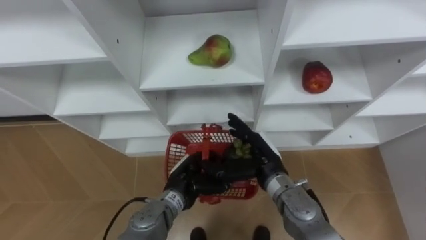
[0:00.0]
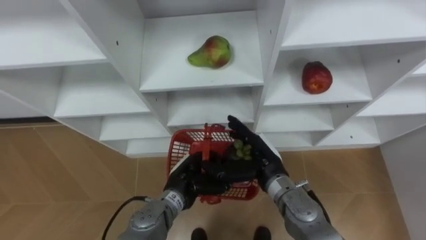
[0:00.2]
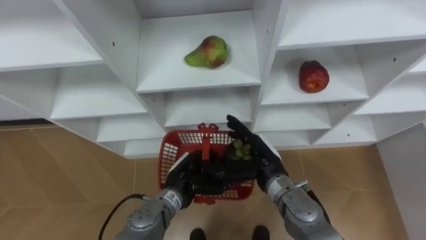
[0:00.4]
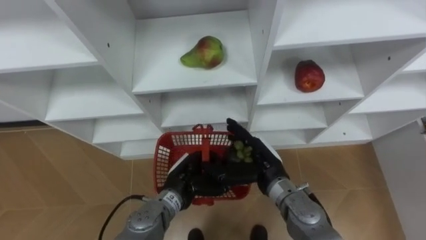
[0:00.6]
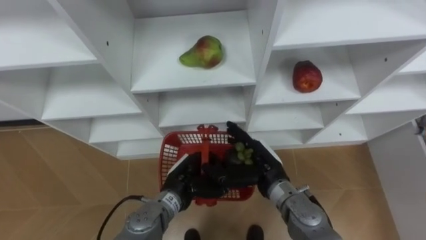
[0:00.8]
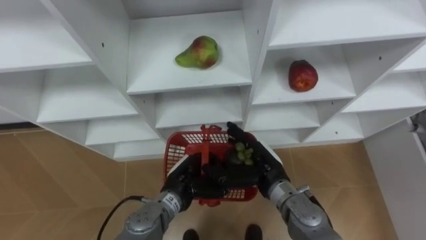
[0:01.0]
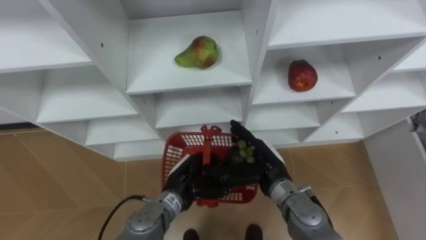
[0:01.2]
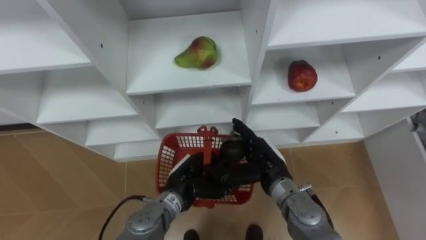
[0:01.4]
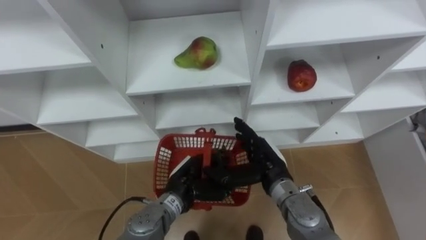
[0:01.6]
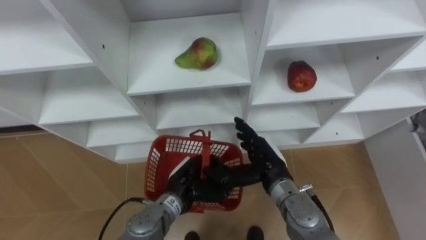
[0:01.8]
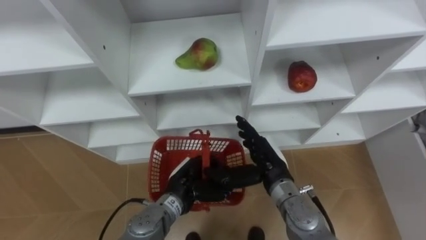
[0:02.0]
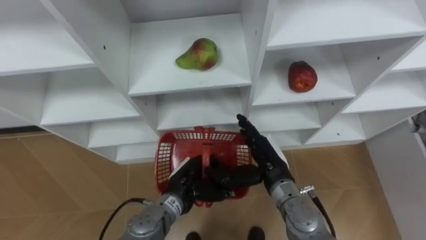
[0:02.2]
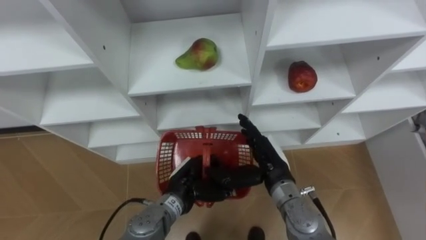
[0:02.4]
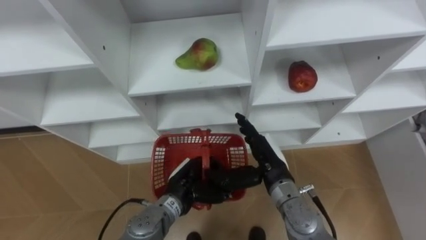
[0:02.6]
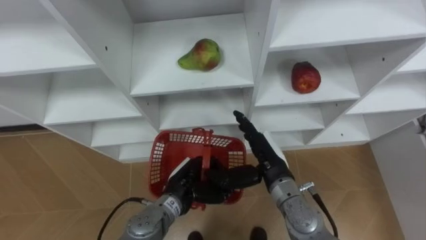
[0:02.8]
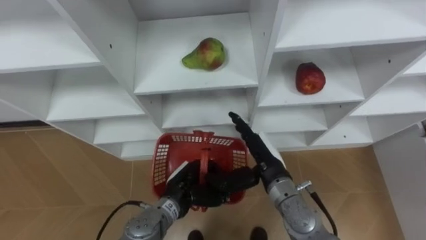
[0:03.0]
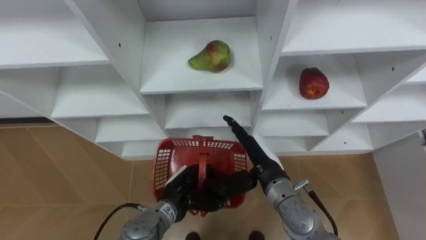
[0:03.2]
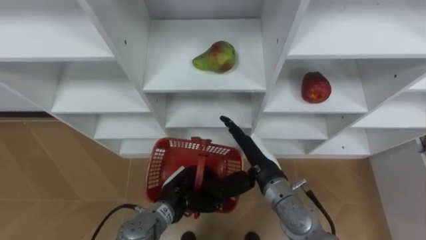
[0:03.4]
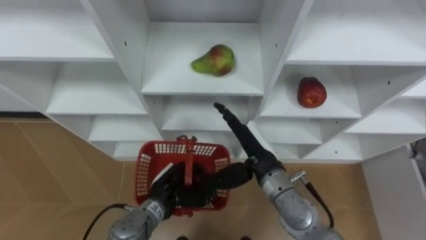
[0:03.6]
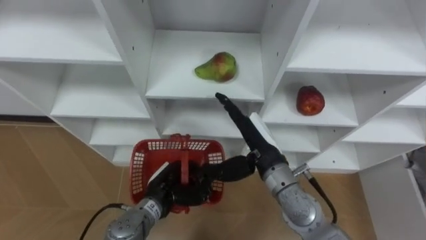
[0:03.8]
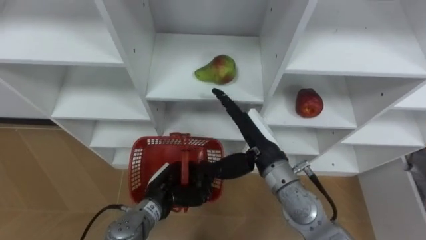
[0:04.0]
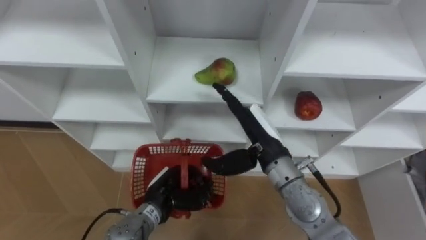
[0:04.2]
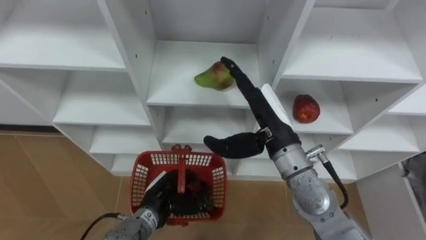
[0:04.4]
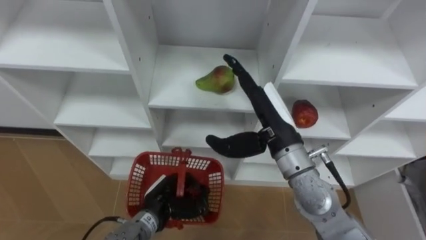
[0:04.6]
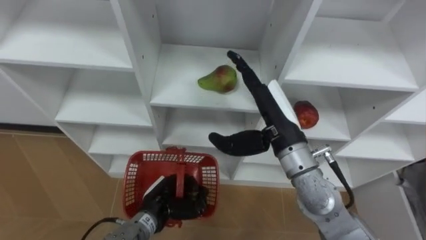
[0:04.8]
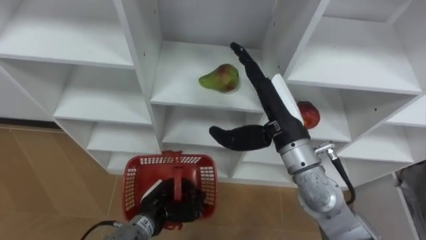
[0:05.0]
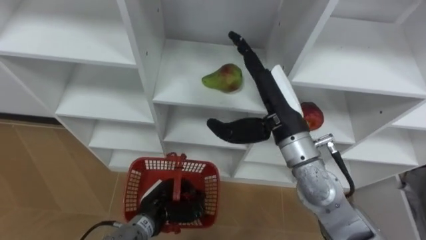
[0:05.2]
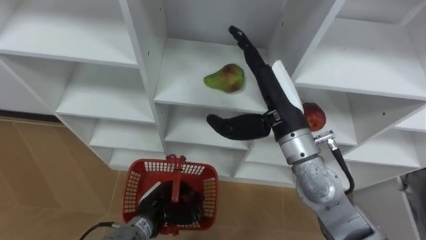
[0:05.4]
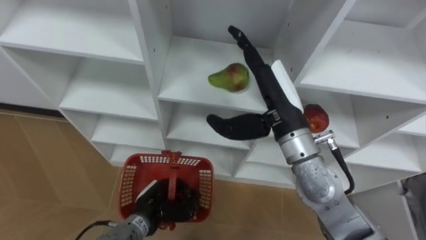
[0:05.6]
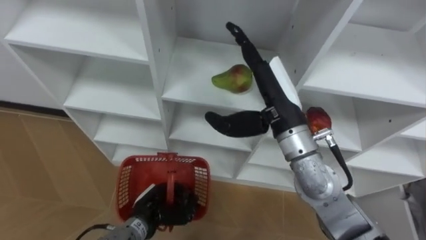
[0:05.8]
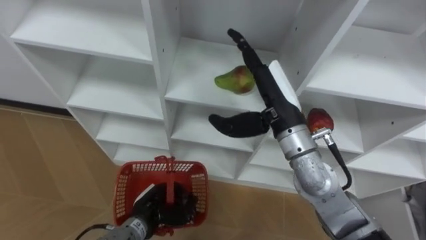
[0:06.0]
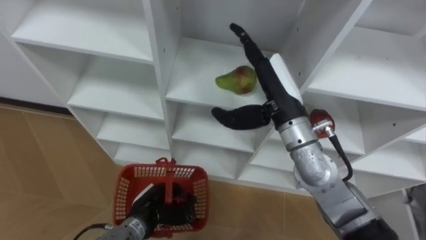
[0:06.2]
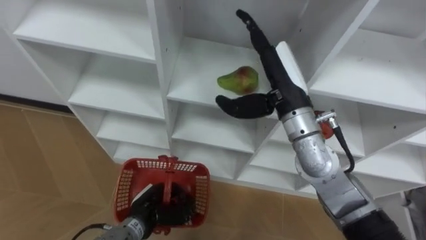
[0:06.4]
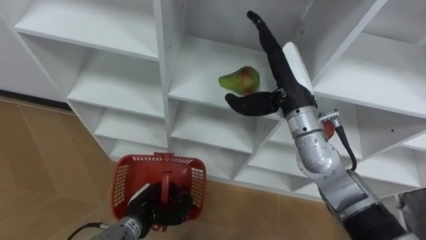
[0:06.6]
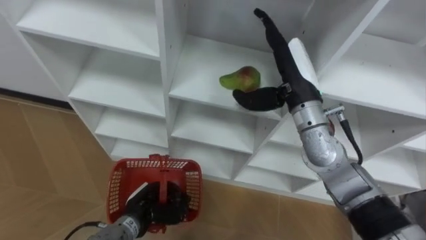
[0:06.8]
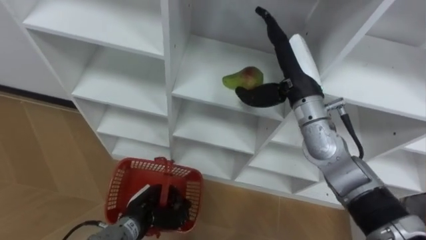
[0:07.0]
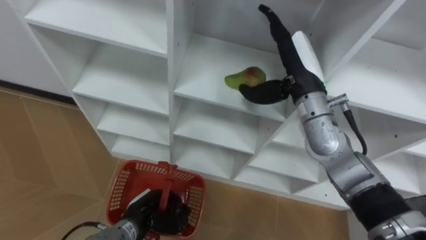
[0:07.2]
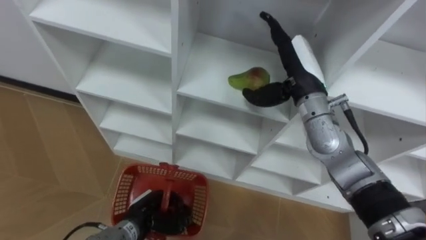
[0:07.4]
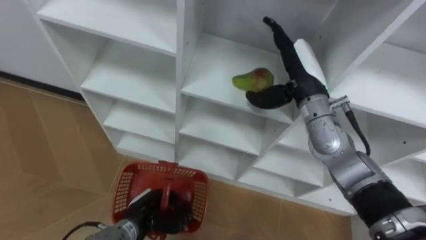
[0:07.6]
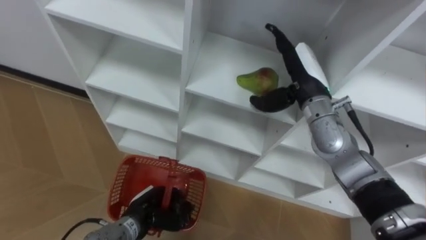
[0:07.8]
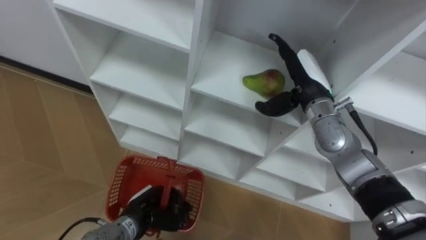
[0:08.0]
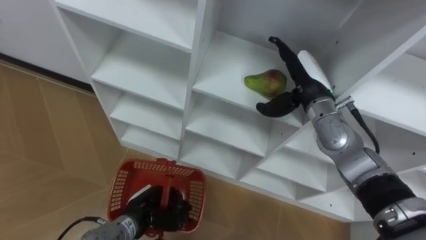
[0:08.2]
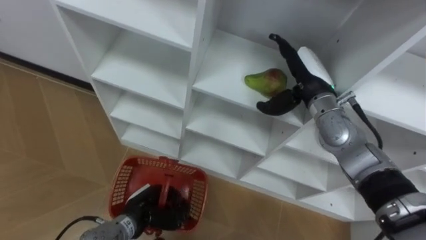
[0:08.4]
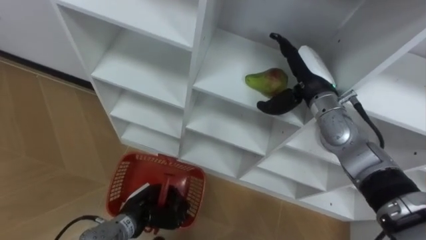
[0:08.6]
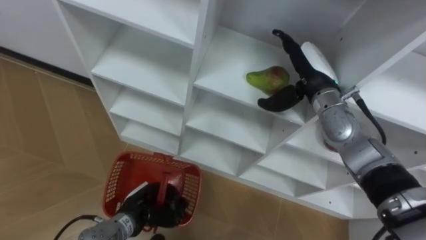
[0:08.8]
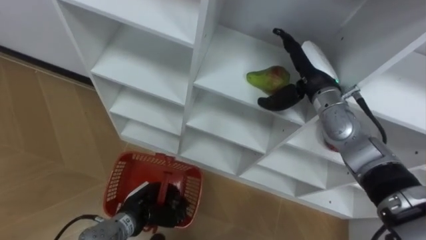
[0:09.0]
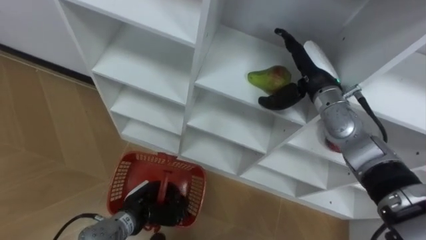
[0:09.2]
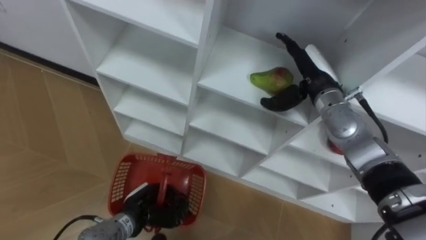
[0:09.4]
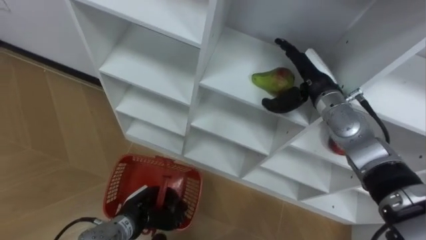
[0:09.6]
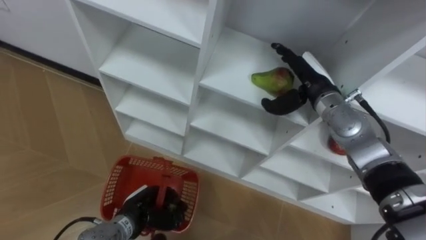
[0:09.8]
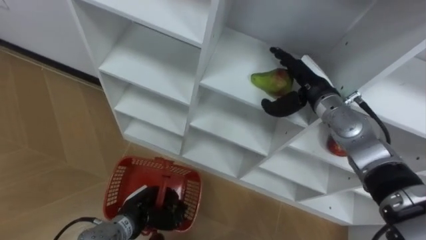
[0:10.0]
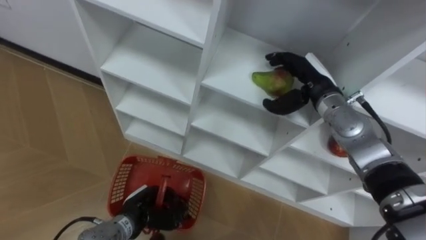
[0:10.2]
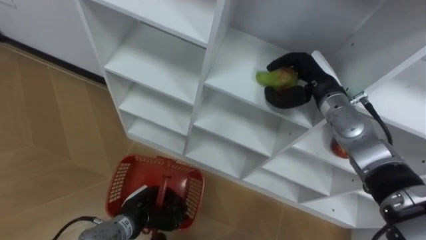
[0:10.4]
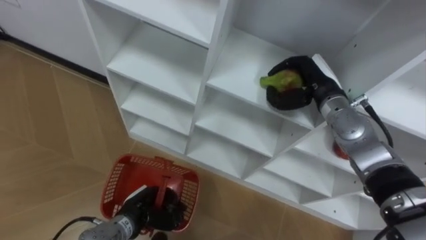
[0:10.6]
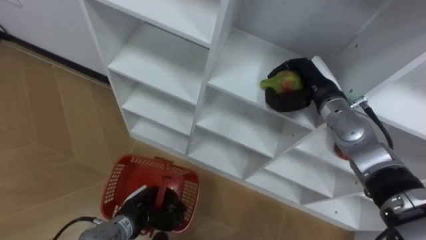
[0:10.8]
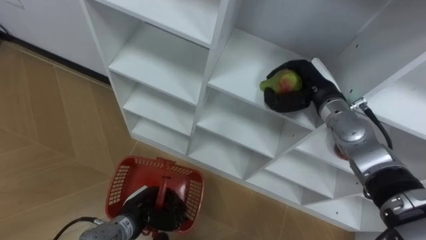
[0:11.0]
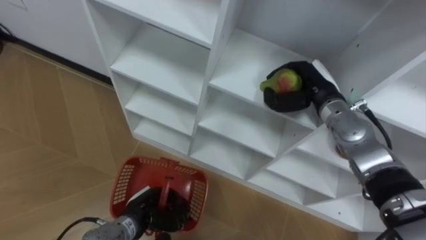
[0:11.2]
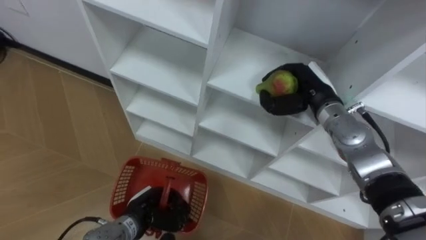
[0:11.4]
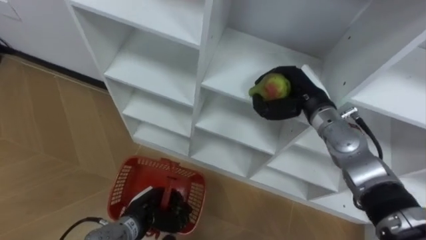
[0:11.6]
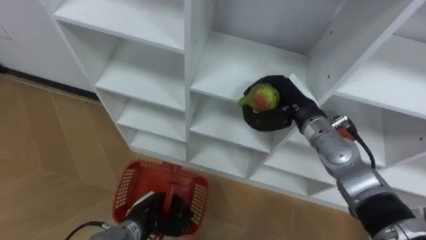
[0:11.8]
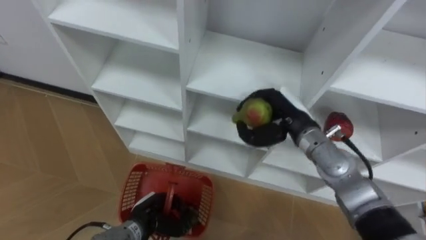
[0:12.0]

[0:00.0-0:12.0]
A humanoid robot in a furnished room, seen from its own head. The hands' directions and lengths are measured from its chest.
Task of the whole recording: Hold the basket and collect the fruits from 3 different cells of the closet into it.
3.0 to 4.4 s: The left hand ends up about 5 cm from where it was. Meanwhile the right hand is displaced upward by some 10 cm.
6.0 to 7.6 s: The right hand goes roughly 10 cm forward and to the right.
9.0 to 10.4 s: The right hand closes its fingers.
10.4 to 12.0 s: The right hand ends up roughly 5 cm from where it was, and closes.

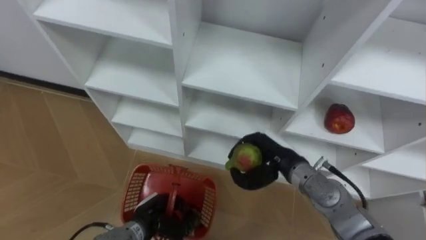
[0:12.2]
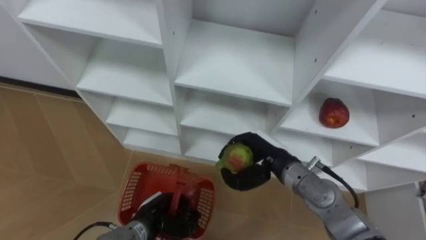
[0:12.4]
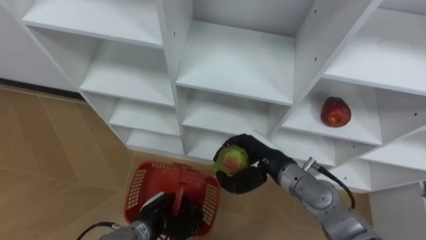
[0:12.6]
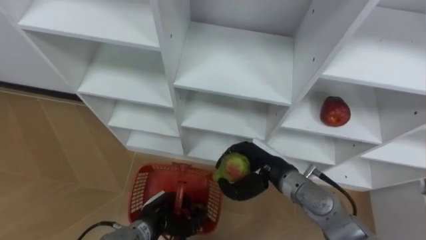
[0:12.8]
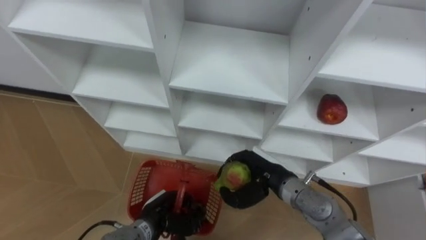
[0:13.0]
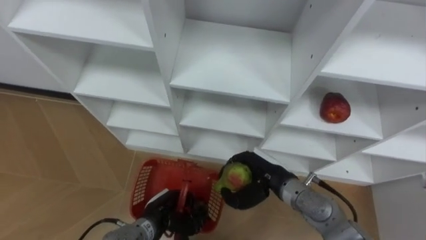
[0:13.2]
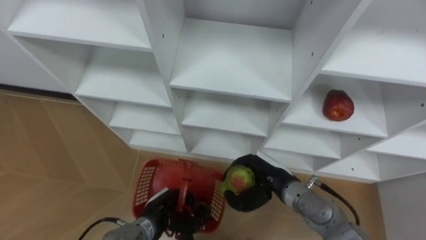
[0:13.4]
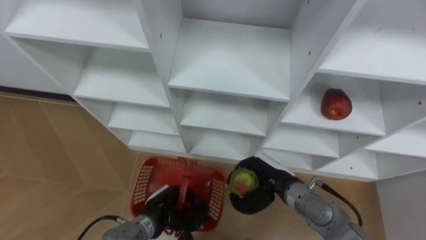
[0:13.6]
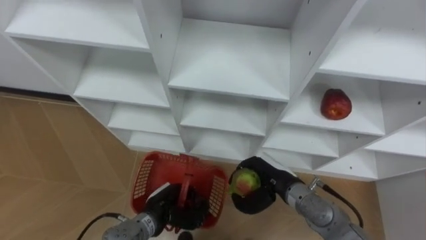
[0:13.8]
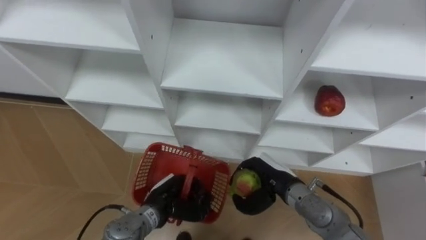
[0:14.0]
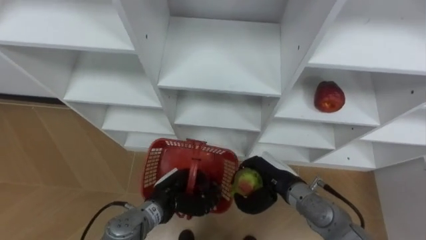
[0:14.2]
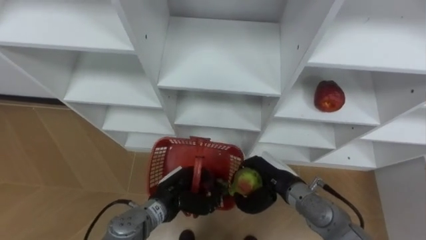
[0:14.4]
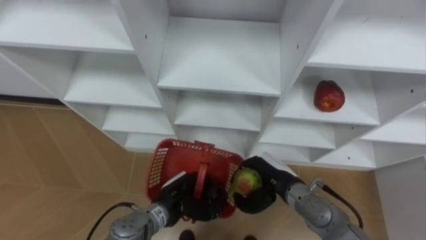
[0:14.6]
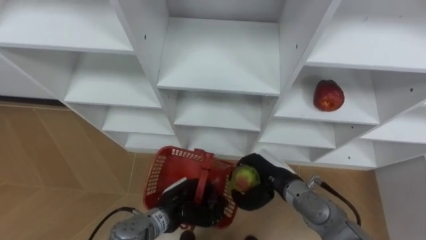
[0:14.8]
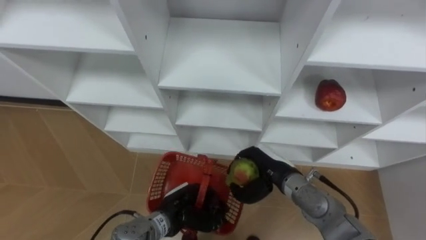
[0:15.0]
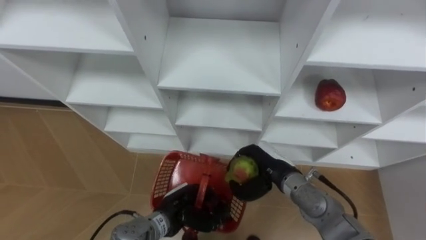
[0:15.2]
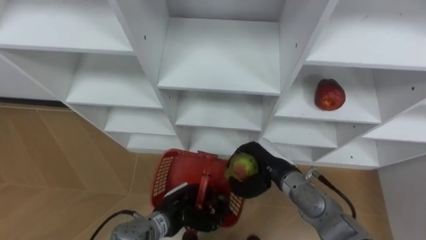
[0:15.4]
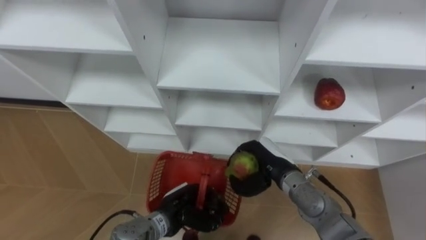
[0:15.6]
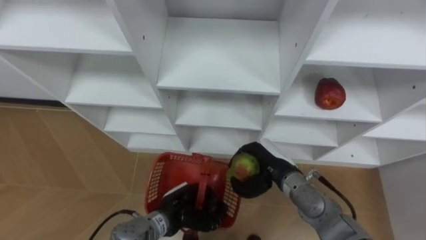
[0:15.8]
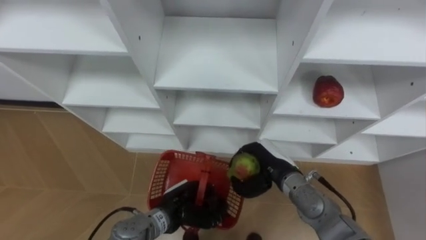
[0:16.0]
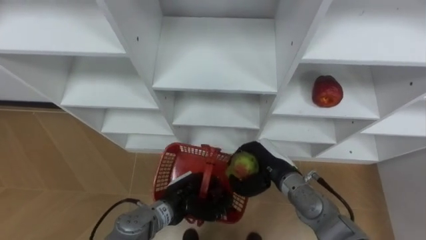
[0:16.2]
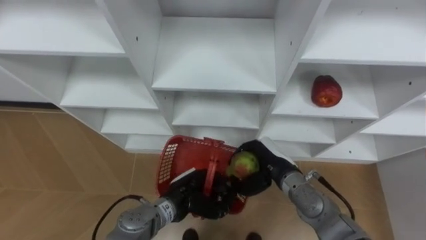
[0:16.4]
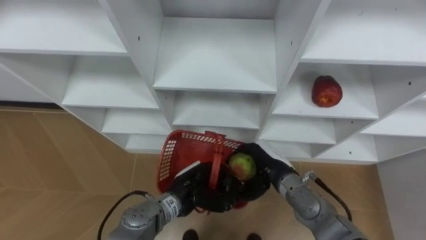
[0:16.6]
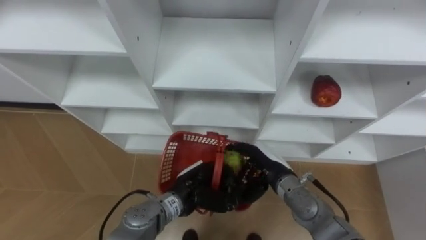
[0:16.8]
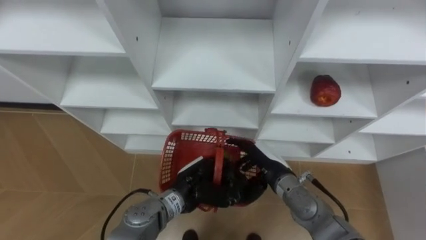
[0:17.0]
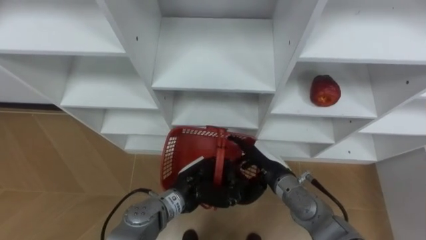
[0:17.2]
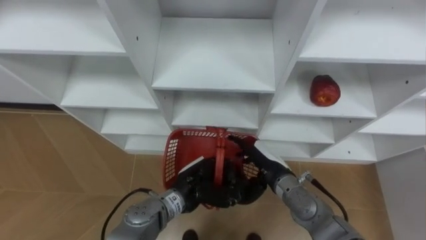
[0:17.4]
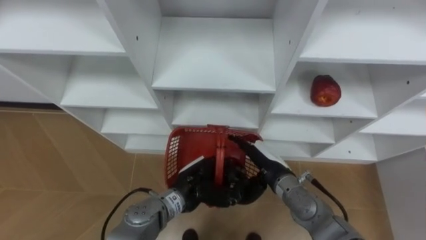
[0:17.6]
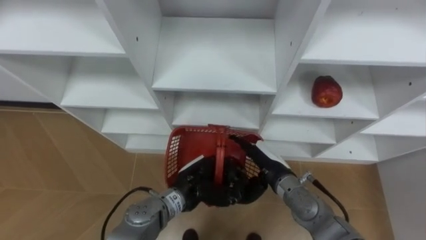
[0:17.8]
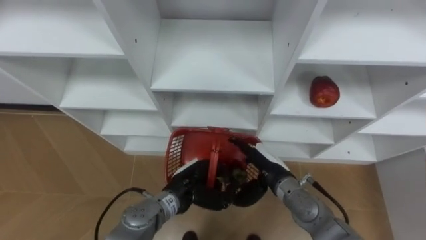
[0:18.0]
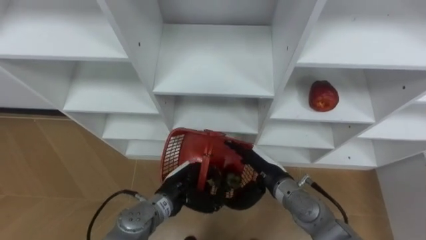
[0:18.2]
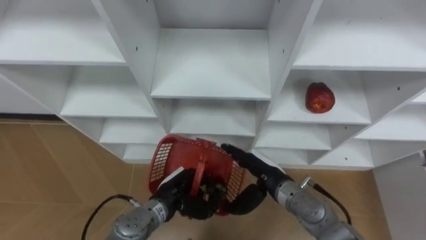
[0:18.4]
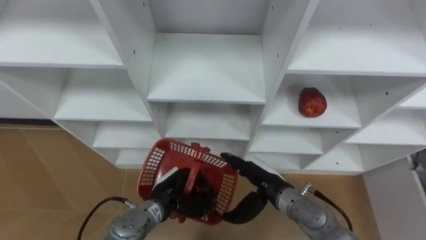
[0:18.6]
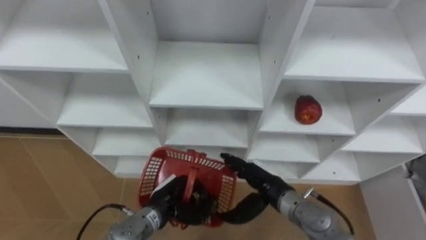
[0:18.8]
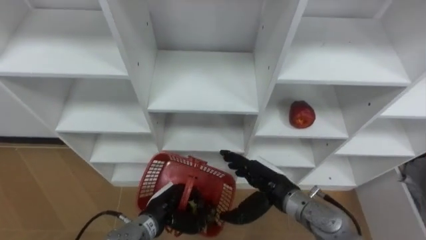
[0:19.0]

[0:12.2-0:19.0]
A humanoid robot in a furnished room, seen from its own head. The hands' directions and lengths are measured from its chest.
Task of the whole recording: Hold the basket and collect the fruits from 3 different cells of the closet into it.
12.2 to 13.6 s: The right hand travels downward by approximately 5 cm.
15.0 to 16.2 s: There are only small adjustments of the hands.
16.2 to 17.6 s: The left hand changes place by roughly 5 cm. The right hand opens up.
17.6 to 19.0 s: The left hand is displaced to the left and downward by approximately 10 cm.
